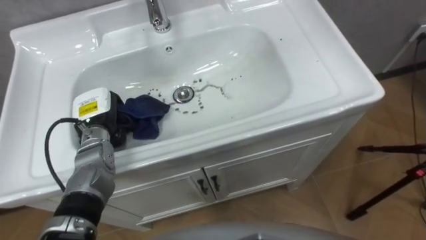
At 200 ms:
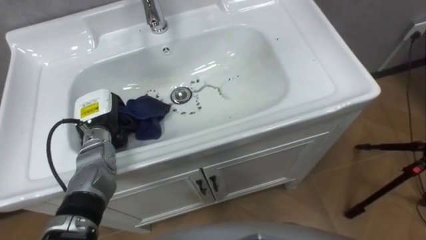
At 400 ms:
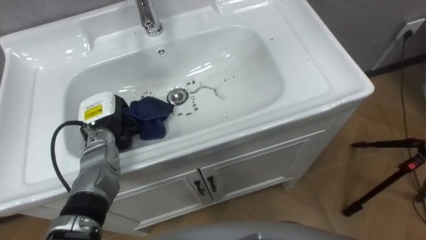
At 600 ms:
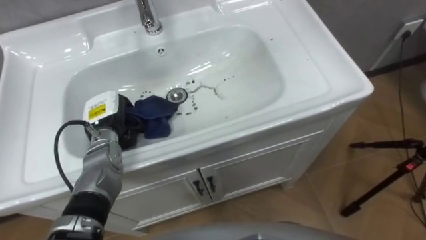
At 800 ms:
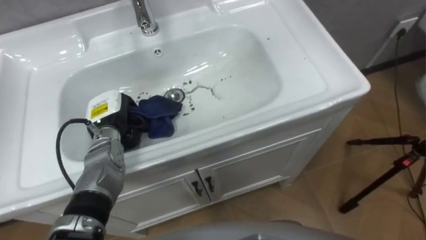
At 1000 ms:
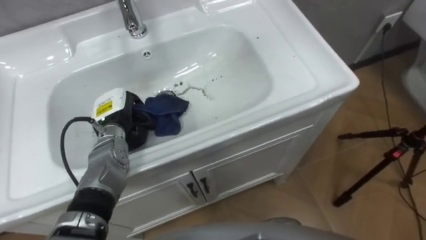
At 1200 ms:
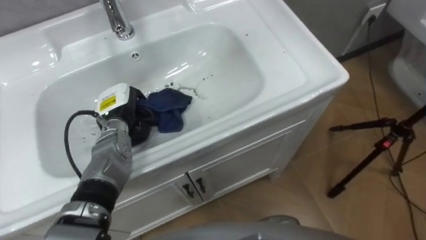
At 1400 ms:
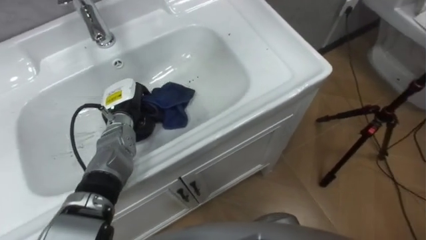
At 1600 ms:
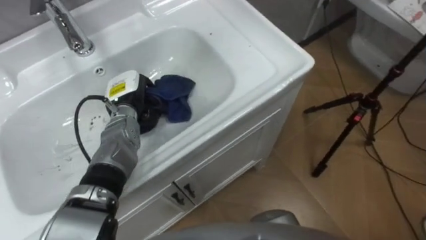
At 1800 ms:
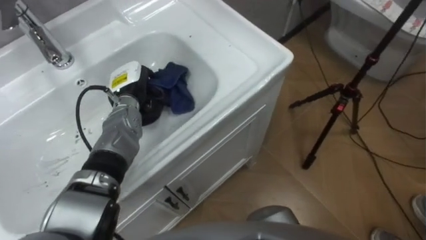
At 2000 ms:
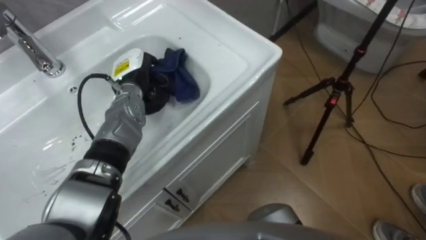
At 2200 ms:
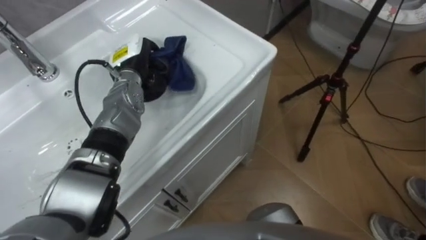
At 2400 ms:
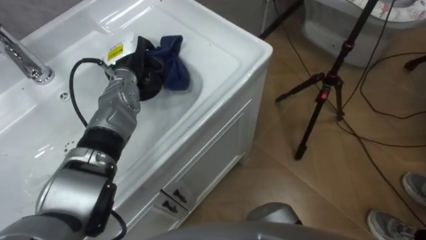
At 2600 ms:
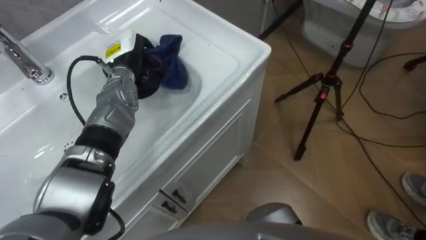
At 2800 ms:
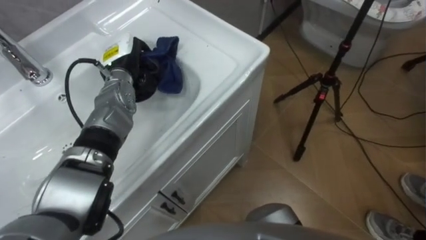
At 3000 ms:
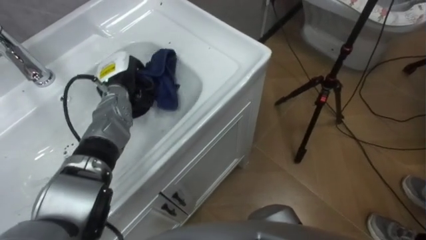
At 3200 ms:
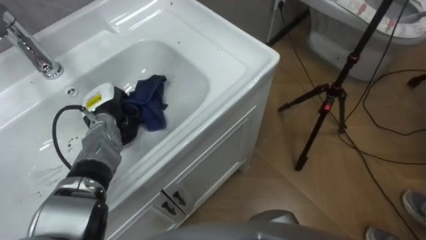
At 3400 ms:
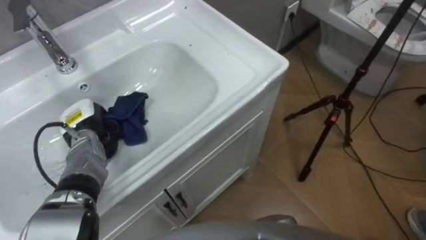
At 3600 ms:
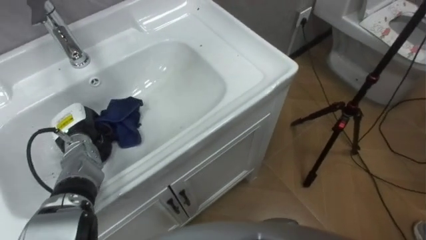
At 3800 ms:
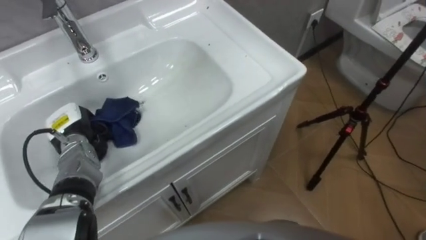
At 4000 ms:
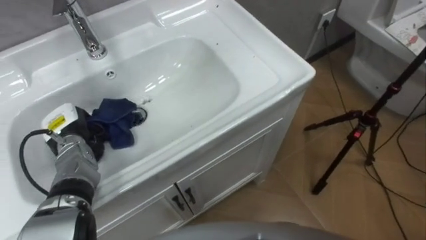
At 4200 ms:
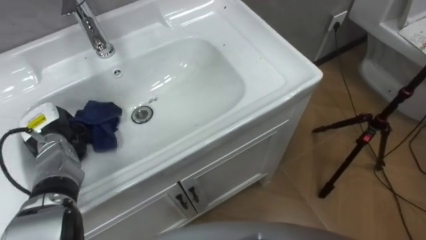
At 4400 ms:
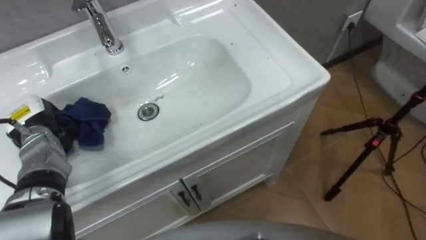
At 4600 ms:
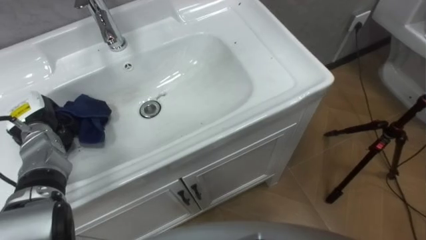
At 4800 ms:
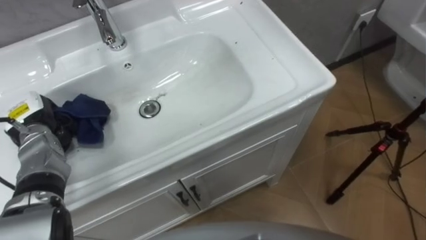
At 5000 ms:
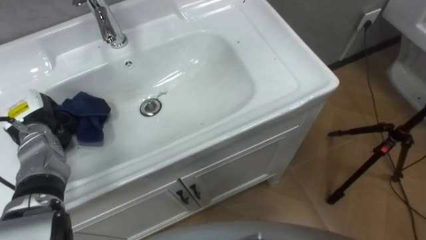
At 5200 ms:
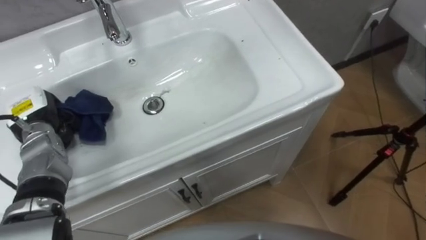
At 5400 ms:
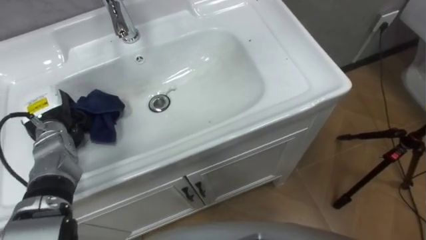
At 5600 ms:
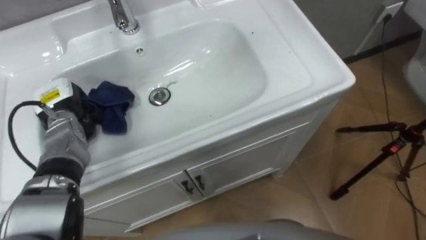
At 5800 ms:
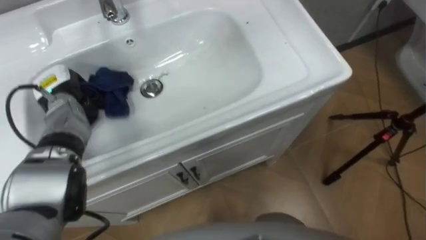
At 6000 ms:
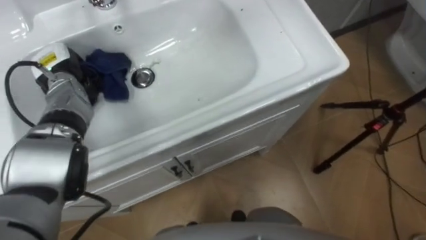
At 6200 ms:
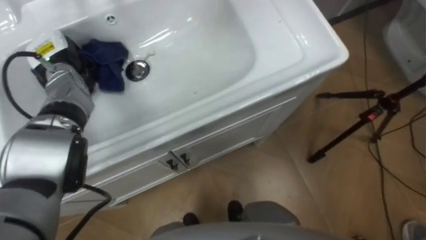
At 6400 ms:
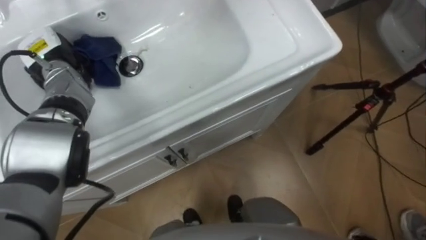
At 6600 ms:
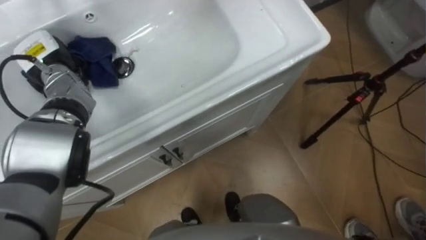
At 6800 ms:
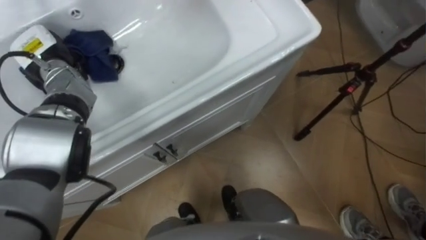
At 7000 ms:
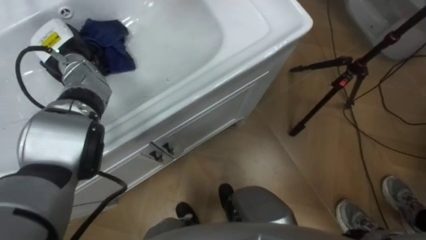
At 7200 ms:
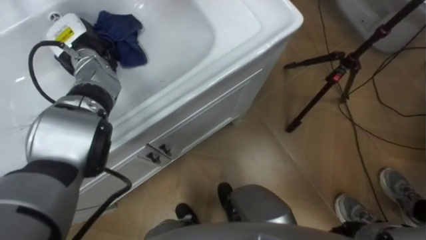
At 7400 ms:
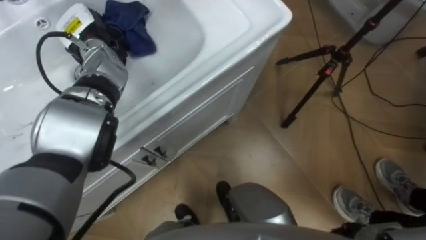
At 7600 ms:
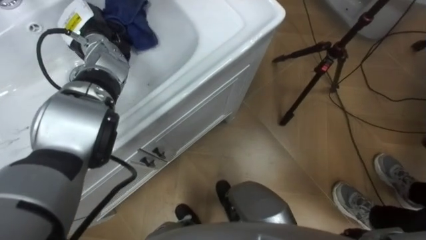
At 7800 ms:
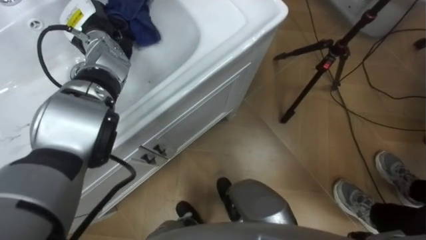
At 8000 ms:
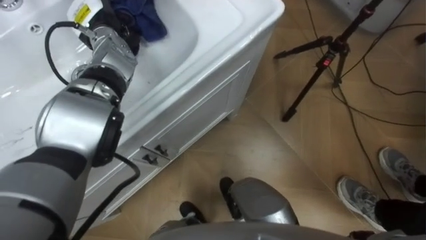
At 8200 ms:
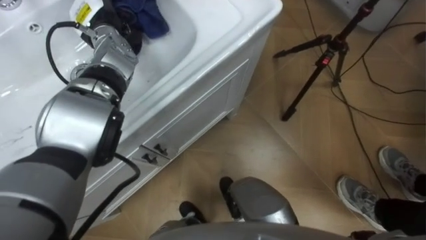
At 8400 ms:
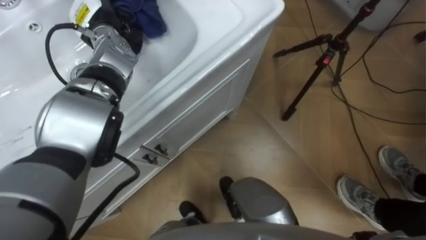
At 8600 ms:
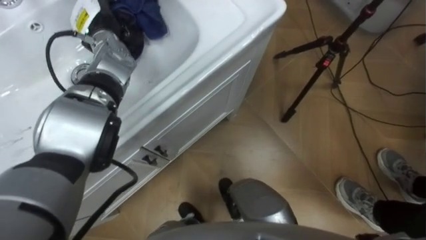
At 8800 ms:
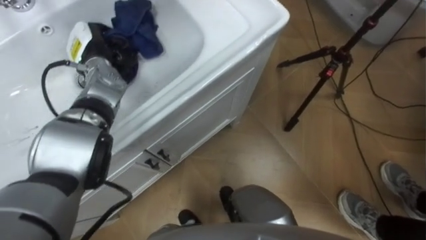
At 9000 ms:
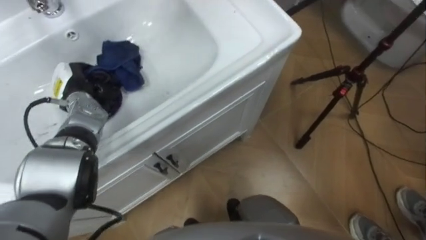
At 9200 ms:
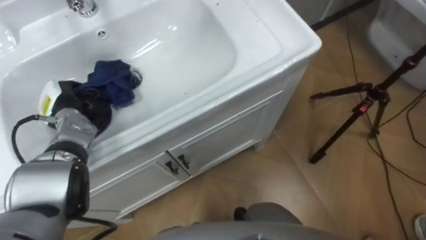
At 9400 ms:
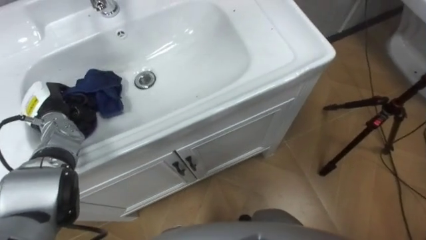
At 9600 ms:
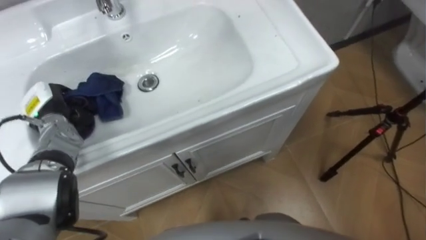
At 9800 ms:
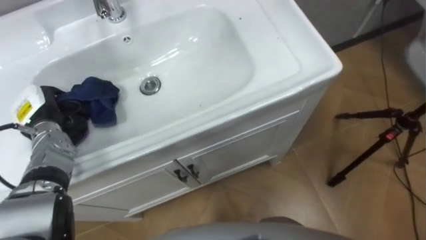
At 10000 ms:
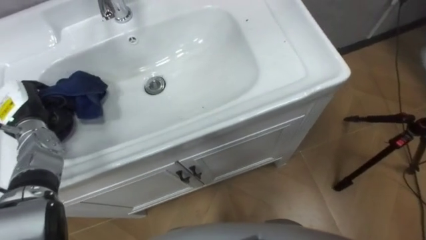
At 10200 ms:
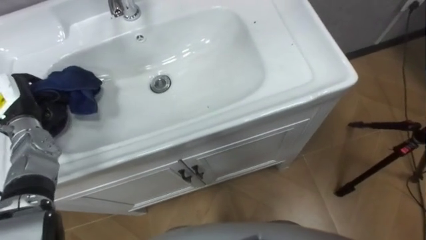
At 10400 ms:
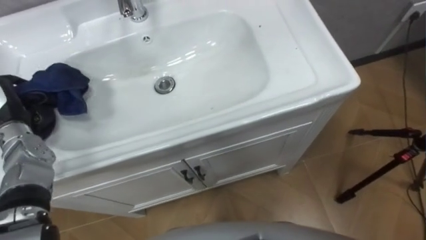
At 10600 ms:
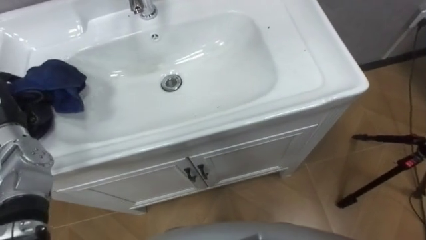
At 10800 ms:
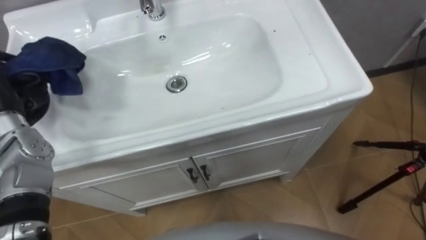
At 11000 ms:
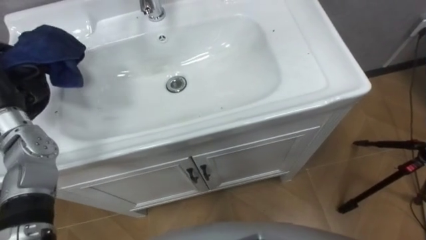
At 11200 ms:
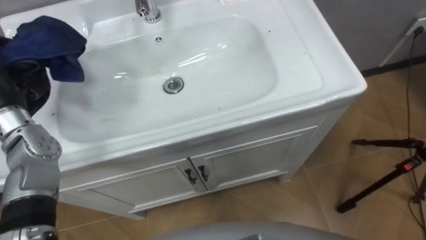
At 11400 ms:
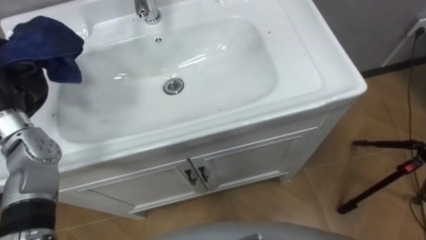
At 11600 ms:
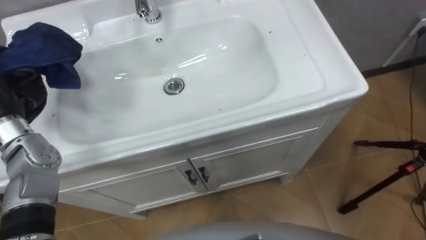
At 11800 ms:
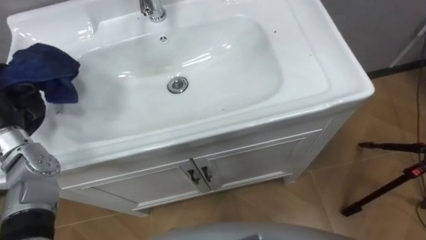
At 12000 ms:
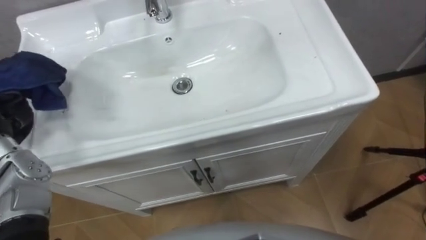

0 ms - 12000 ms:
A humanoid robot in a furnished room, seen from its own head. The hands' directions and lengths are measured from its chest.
Task of the whole recording: Use the cloth on the right to wipe away the black stain in the sink.
0 ms - 1600 ms: The left hand is displaced to the right by roughly 5 cm.
3000 ms - 4400 ms: The left hand heads to the left and backward, covering some 20 cm.
4400 ms - 6000 ms: The left hand shifts about 10 cm forward and to the right.
6000 ms - 7600 ms: The left hand shifts some 10 cm to the right, forward and upward.
7600 ms - 9000 ms: The left hand travels downward, backward and to the left by approximately 15 cm.

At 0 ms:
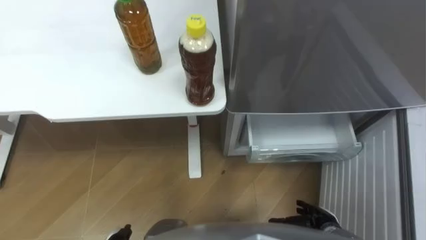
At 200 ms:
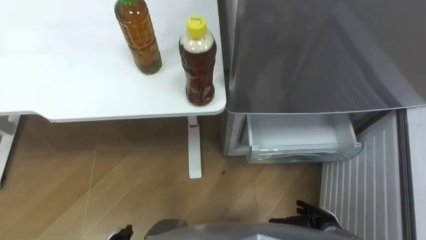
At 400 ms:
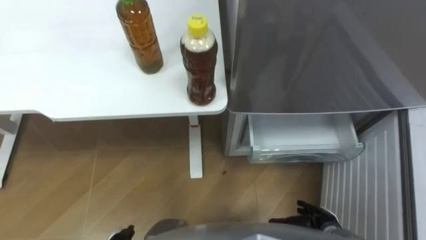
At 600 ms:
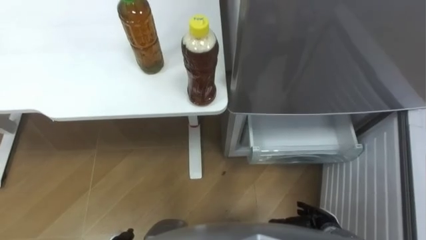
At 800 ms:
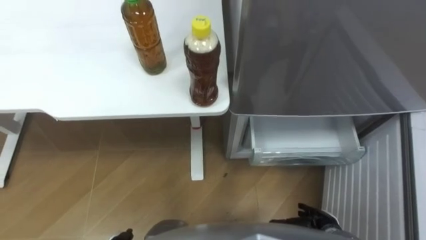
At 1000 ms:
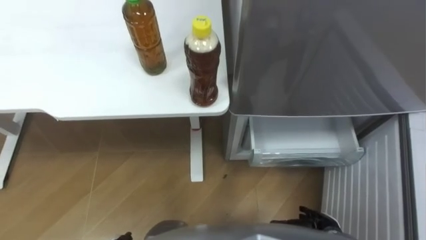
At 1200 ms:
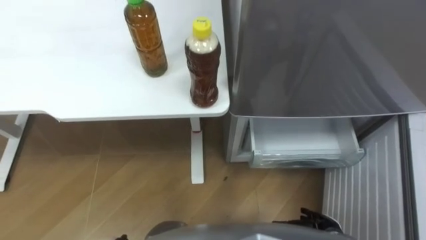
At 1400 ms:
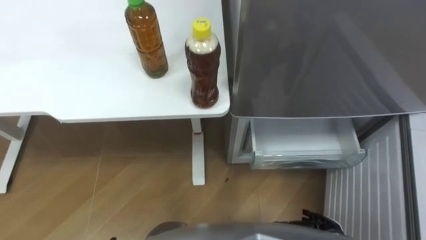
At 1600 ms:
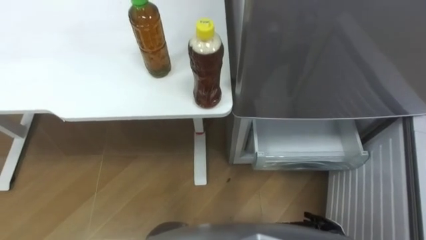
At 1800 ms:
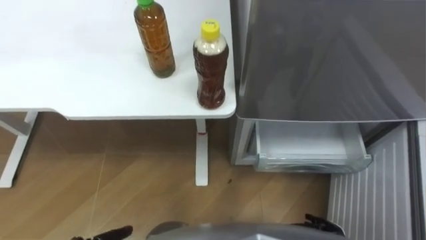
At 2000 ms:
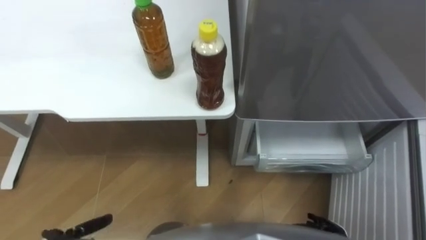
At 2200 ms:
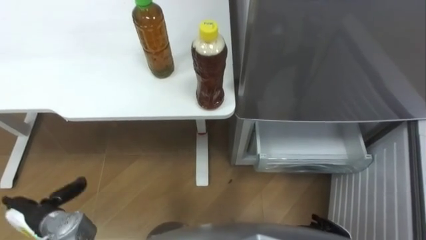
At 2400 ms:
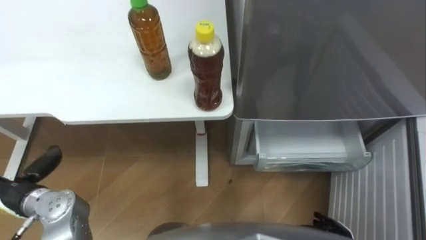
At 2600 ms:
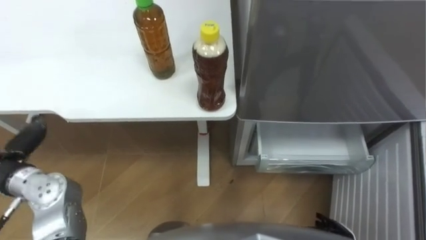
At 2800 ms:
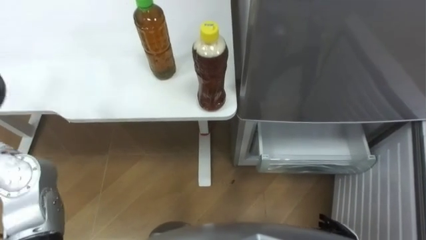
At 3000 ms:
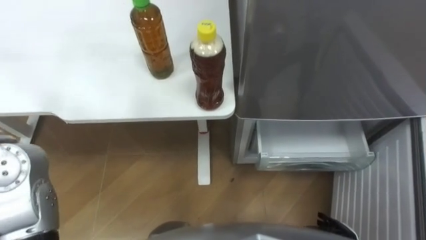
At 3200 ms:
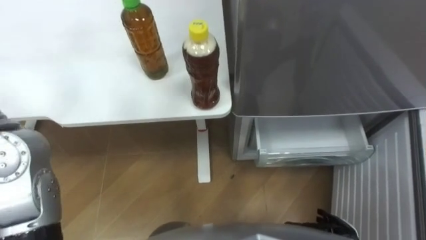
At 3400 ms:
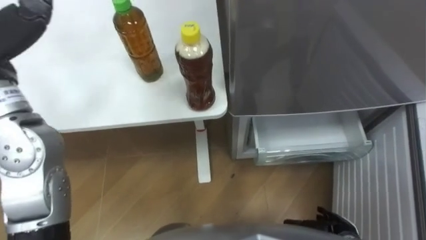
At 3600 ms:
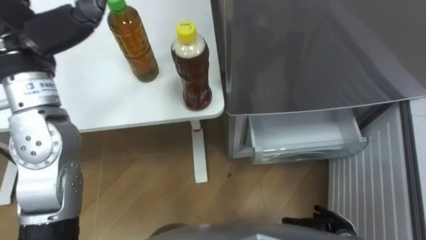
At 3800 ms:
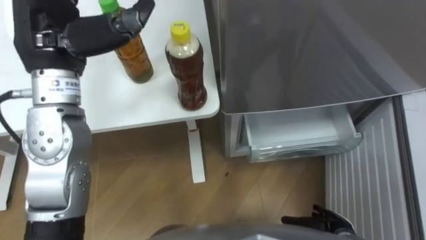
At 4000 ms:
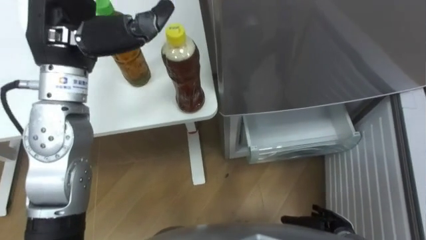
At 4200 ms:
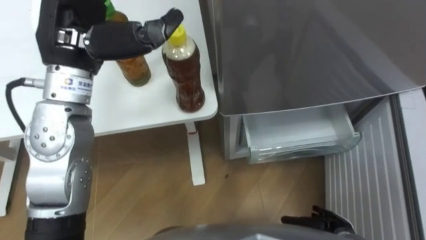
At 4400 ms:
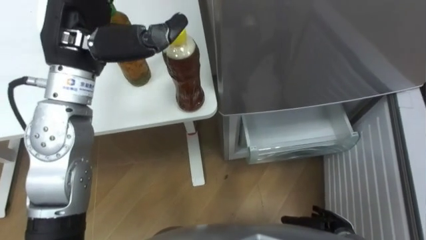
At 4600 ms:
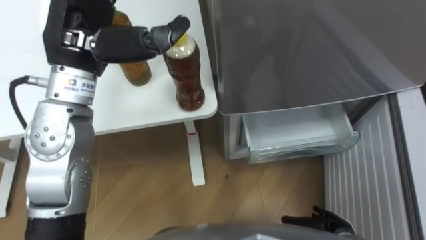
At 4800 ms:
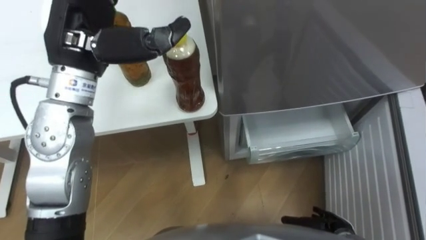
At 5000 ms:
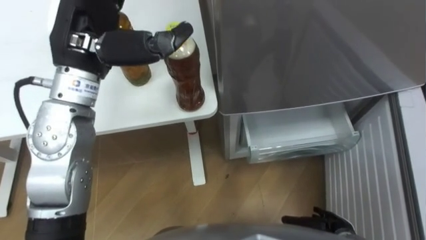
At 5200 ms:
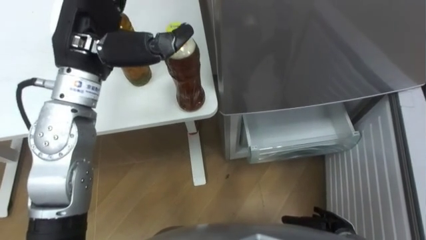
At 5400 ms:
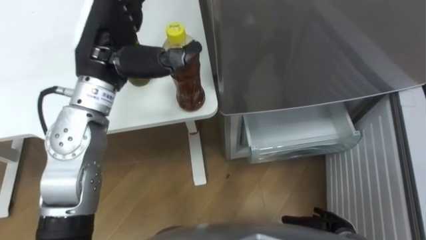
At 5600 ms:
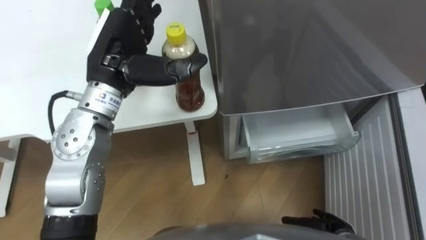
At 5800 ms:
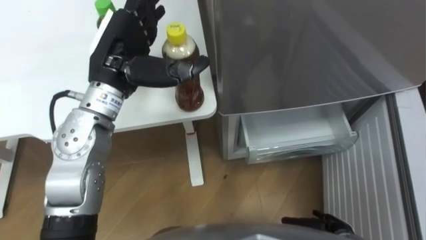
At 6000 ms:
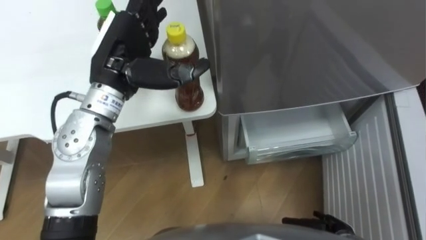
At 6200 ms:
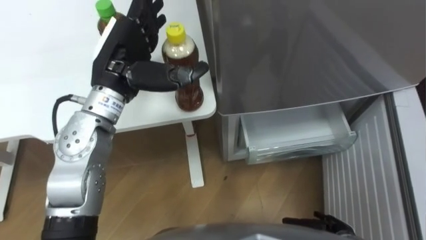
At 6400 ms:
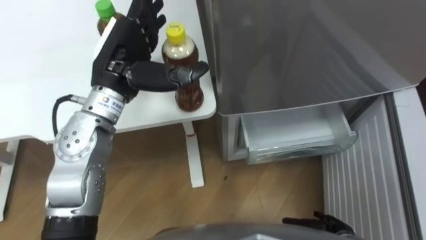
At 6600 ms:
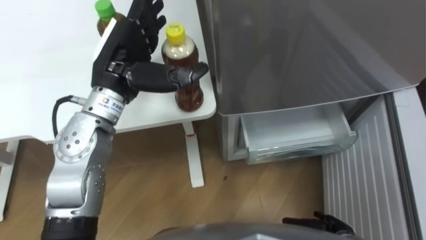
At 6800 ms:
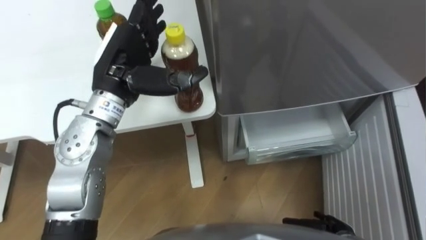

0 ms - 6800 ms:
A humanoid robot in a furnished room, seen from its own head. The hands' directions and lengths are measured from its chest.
Task of the whole recording: Place the drink on the table on the bottom shelf of the refrigerator, then close the drawer and the refrigerator door.
4000 ms - 5400 ms: The left hand ends up about 5 cm from where it was.
